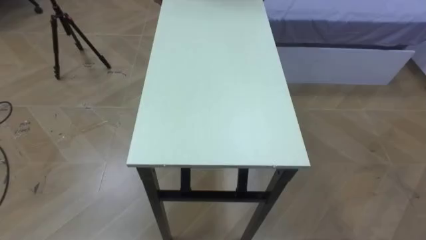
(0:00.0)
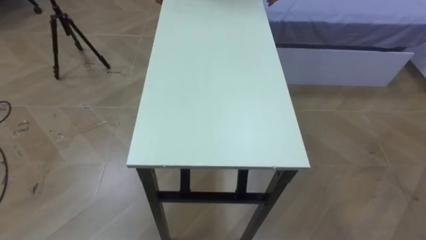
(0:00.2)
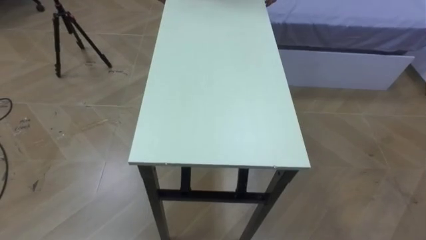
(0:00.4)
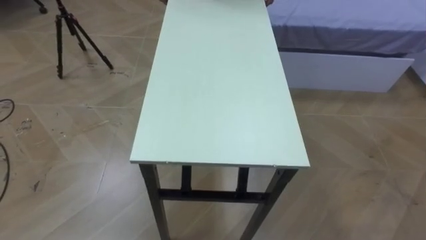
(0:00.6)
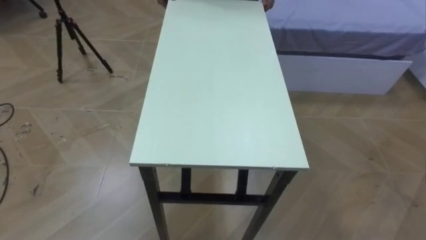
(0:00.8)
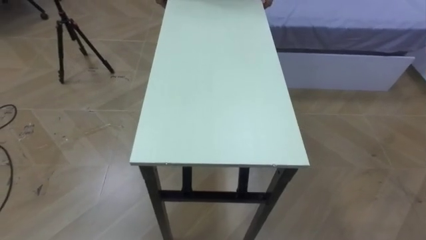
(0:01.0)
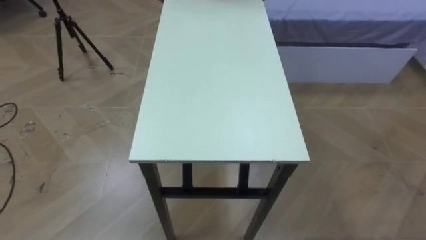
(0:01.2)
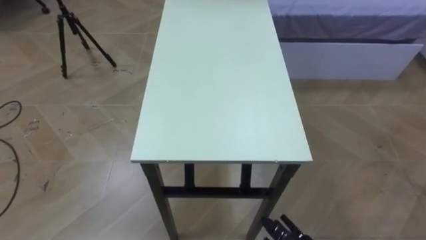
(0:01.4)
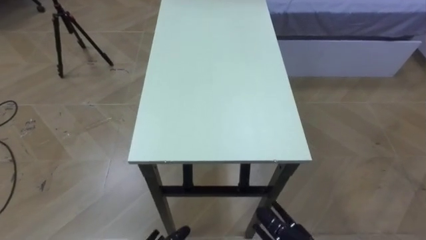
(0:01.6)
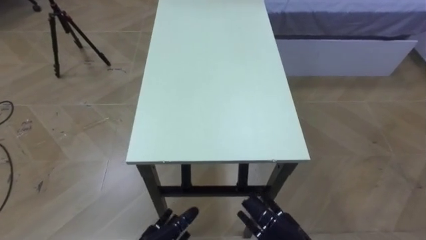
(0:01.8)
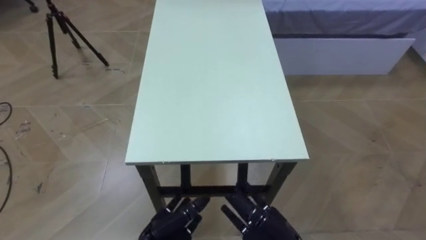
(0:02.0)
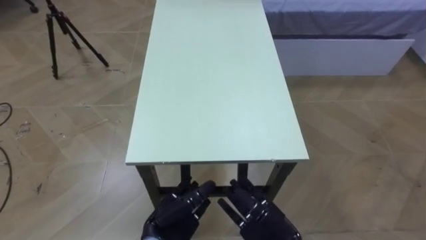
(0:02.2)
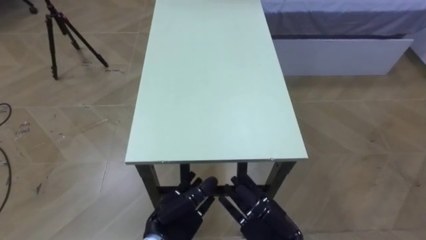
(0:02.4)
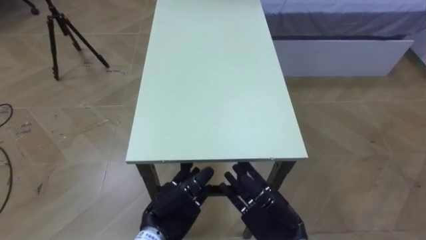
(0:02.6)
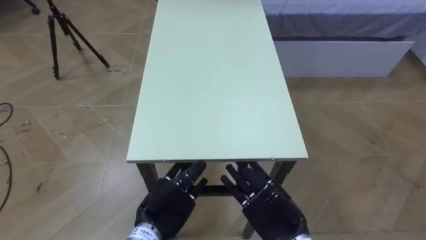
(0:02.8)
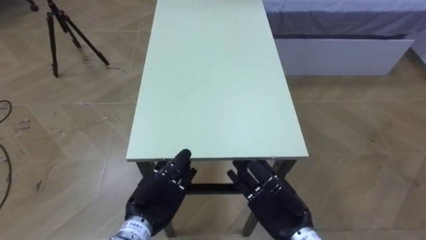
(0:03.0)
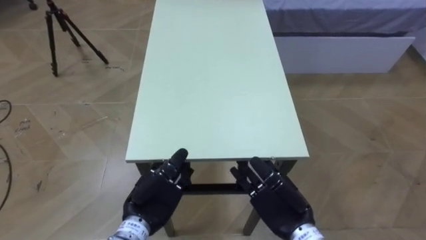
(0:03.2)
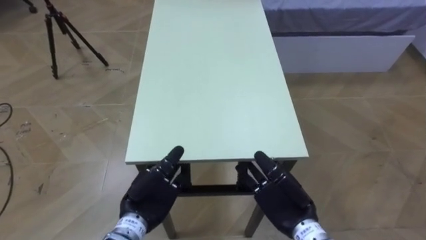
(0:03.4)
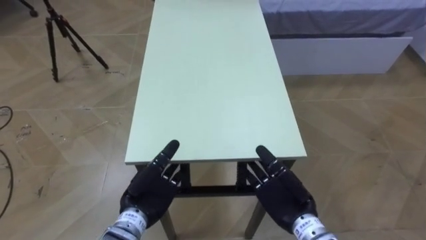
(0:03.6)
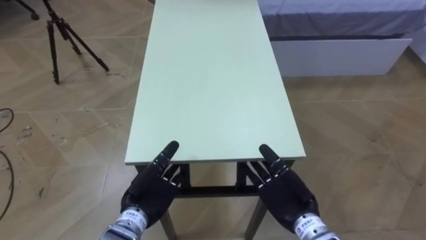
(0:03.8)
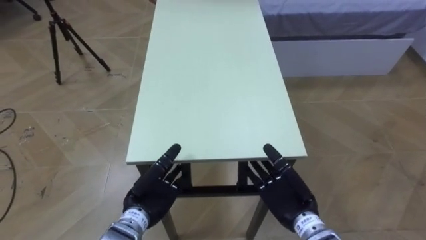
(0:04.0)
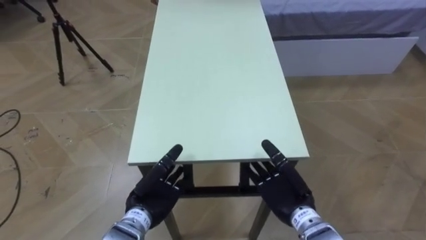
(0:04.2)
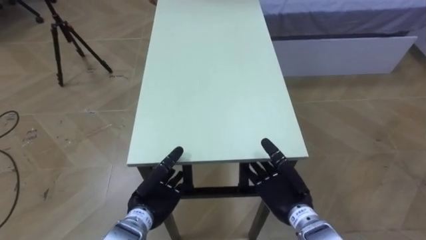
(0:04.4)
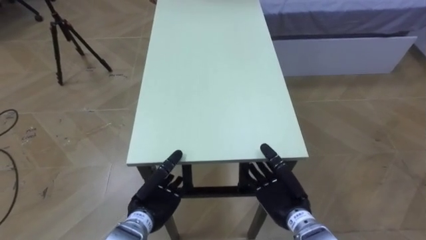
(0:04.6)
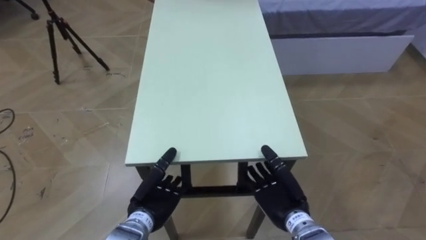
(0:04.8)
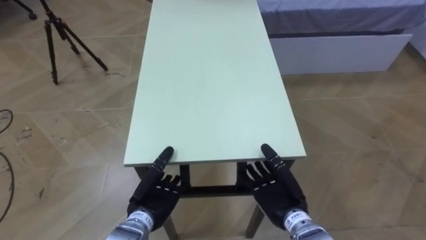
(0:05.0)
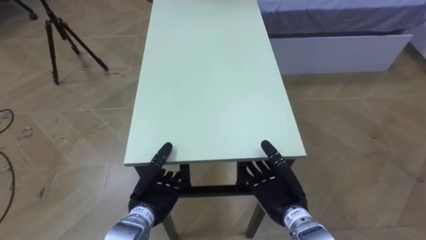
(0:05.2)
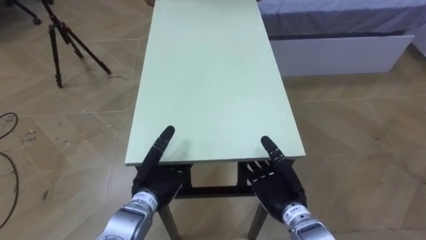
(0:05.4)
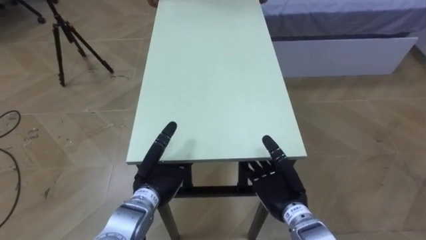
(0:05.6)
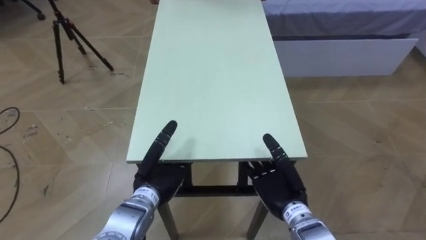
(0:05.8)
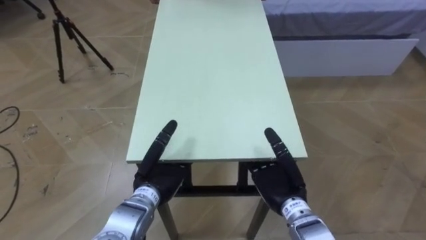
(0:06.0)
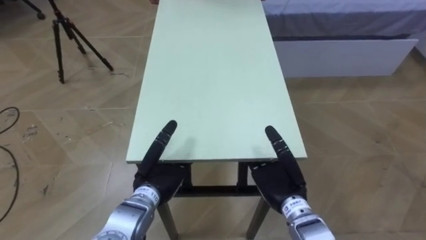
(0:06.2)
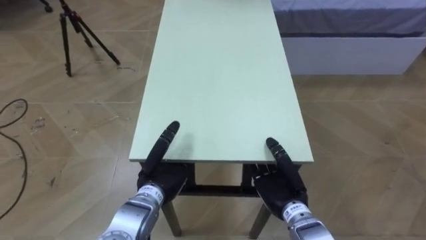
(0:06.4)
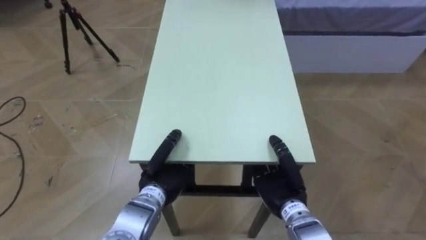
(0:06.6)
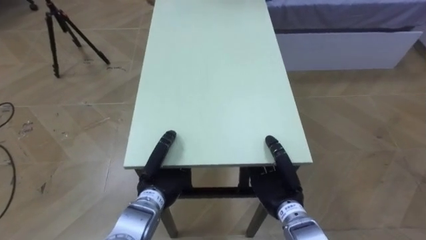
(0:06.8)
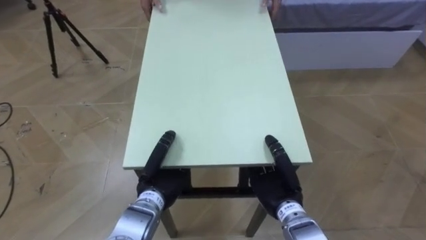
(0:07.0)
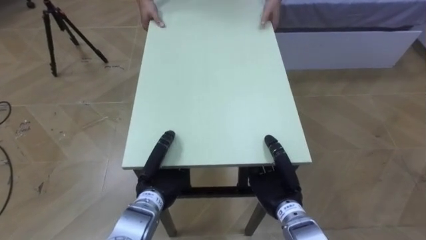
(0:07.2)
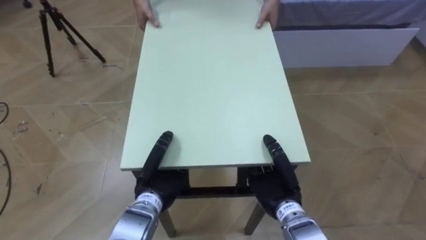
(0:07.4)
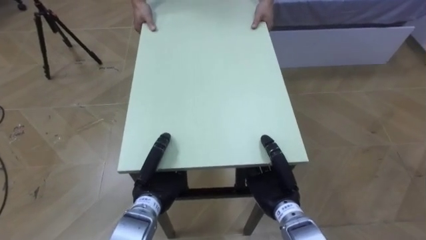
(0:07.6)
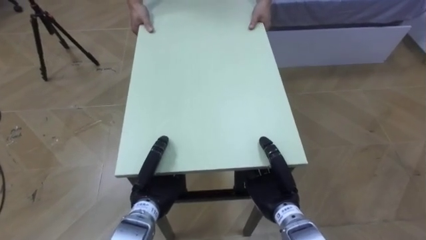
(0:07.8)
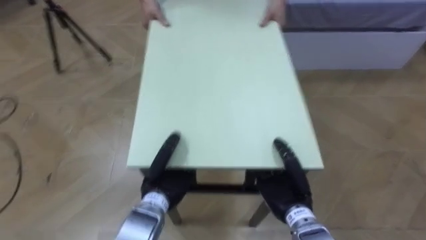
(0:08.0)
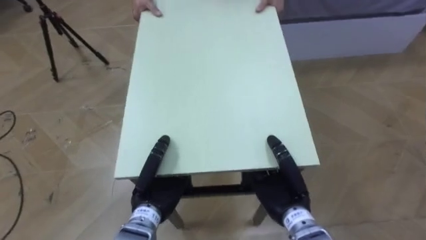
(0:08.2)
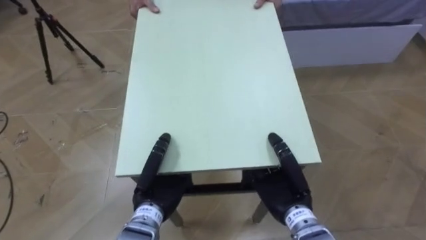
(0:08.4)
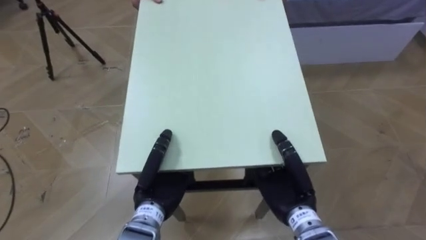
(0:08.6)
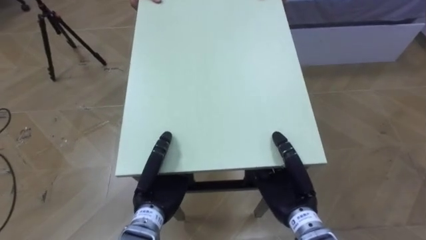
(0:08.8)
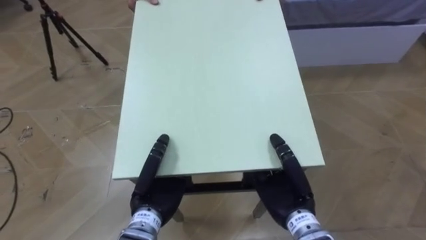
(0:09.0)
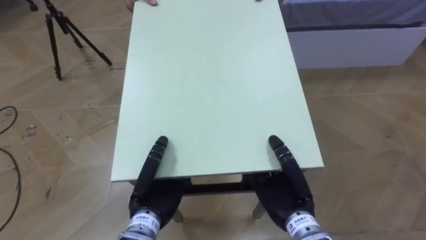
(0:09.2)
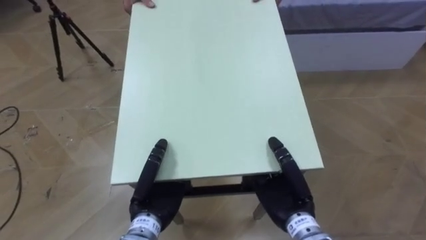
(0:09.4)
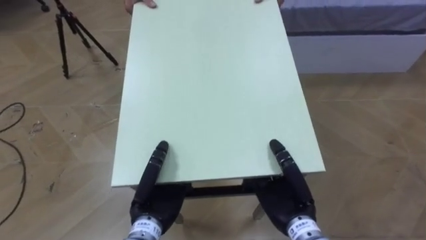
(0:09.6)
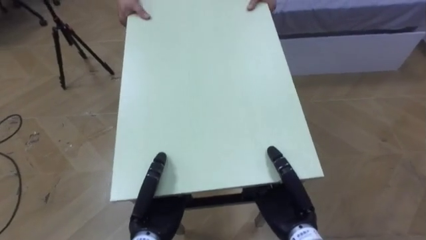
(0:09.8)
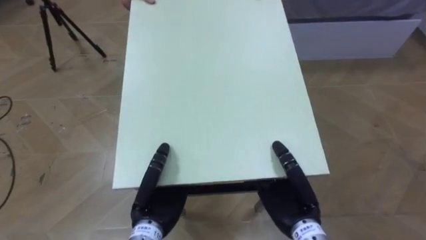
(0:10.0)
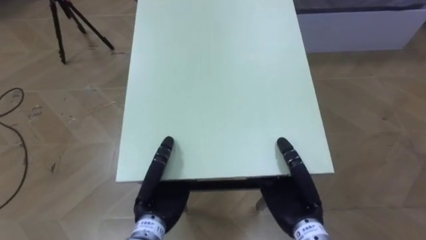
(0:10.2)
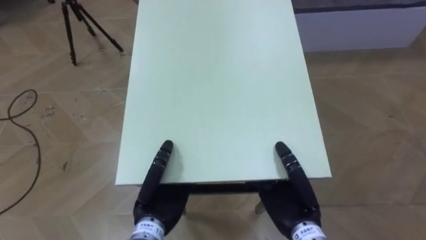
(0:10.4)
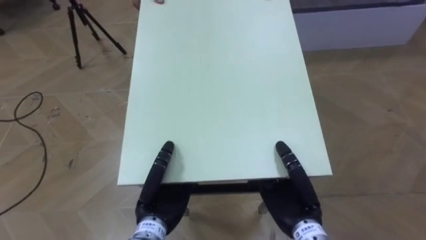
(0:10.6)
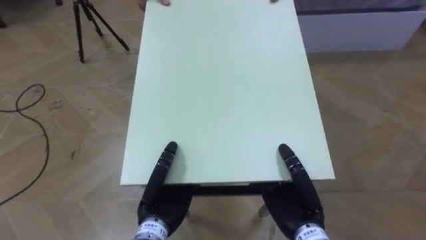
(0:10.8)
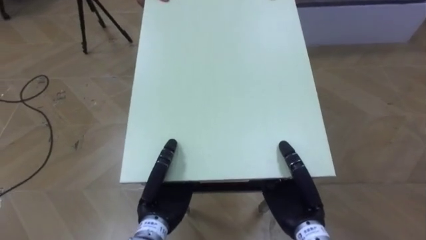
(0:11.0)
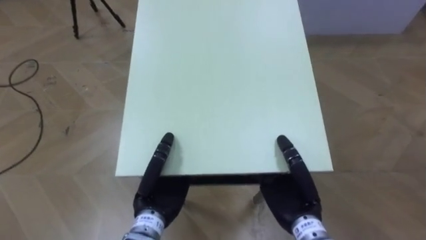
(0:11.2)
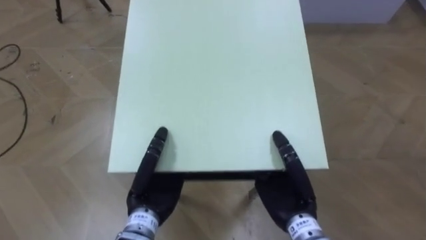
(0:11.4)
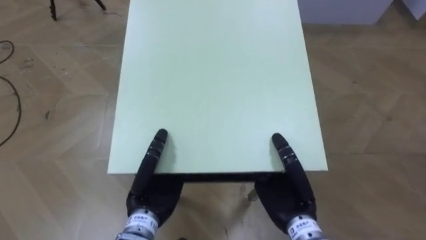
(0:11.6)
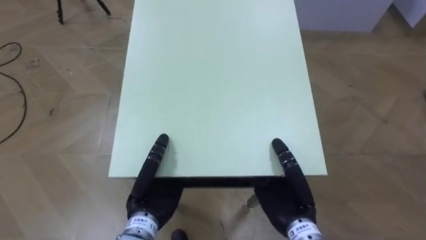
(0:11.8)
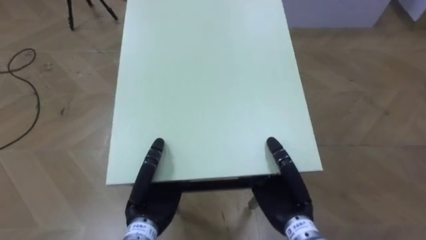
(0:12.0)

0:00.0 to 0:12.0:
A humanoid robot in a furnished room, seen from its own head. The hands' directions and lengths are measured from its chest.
Task of the whole recording: Move the table to the back left with someone.
0:03.0 to 0:04.4: The right hand moves roughly 5 cm.
0:04.4 to 0:06.0: There are only small adjustments of the hands.
0:06.0 to 0:07.6: The right hand closes its fingers, while the left hand closes up.
0:07.6 to 0:09.0: The right hand shifts by roughly 5 cm.

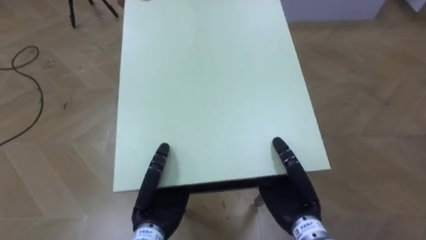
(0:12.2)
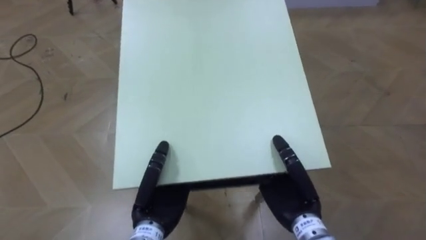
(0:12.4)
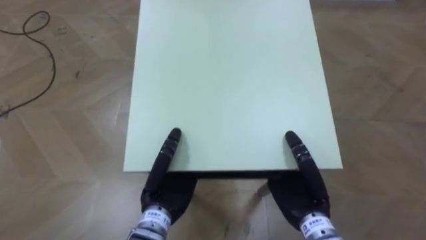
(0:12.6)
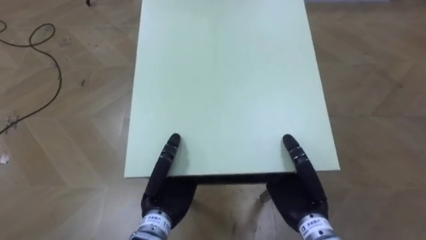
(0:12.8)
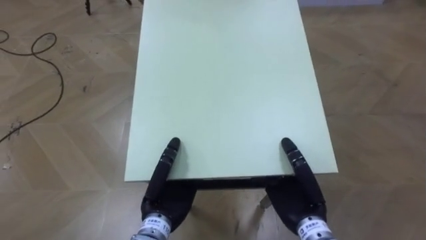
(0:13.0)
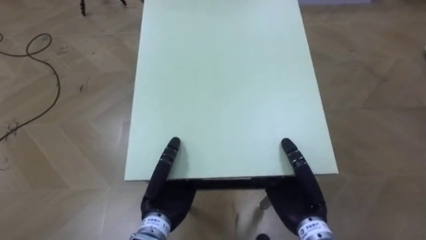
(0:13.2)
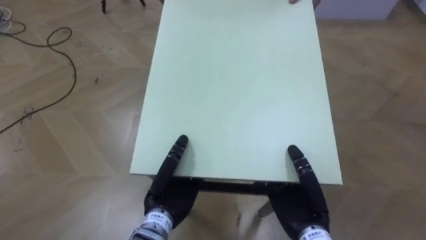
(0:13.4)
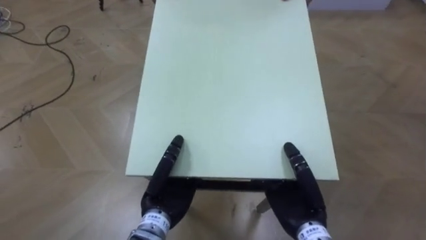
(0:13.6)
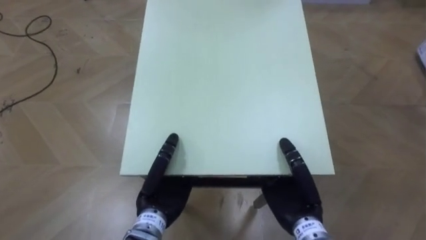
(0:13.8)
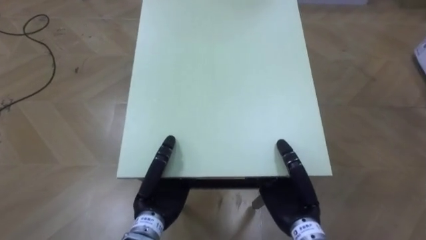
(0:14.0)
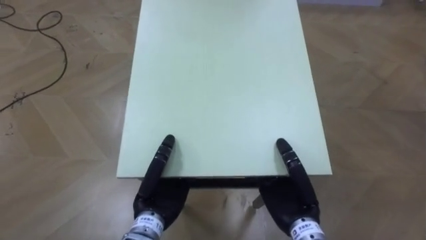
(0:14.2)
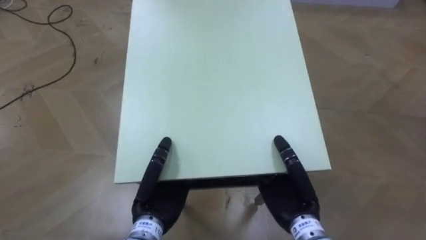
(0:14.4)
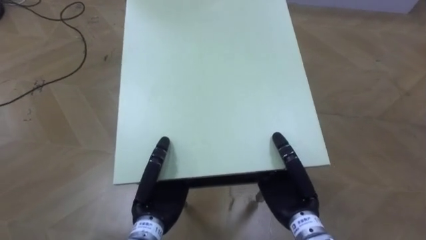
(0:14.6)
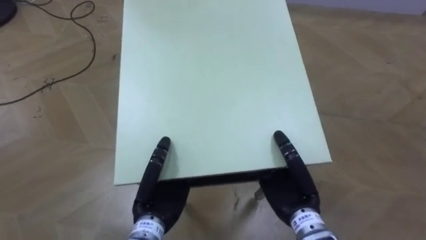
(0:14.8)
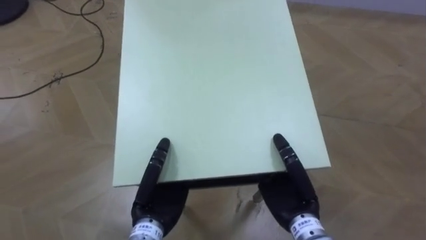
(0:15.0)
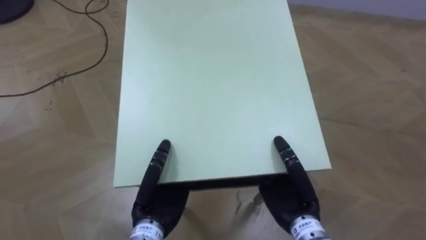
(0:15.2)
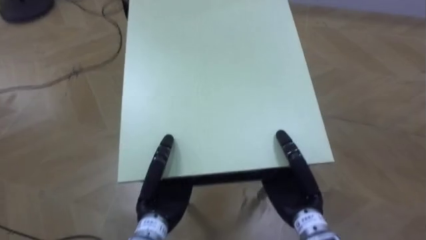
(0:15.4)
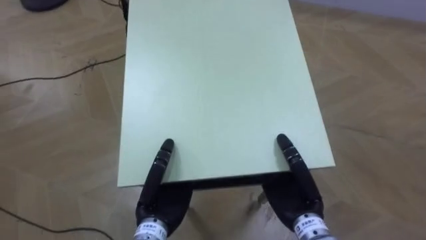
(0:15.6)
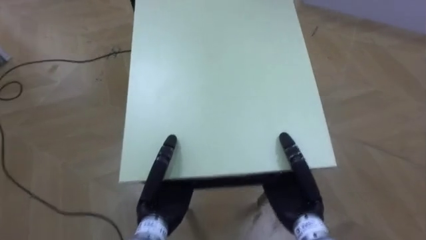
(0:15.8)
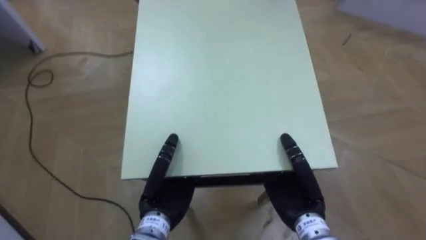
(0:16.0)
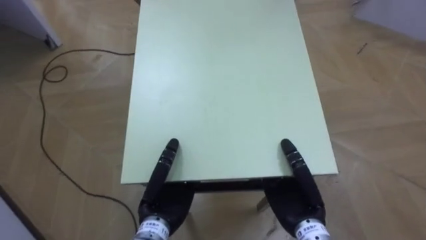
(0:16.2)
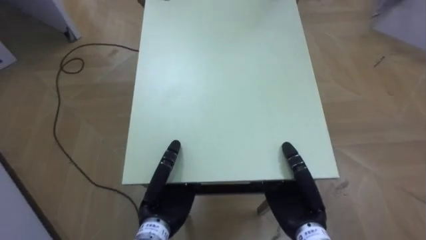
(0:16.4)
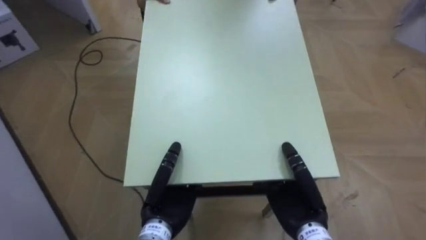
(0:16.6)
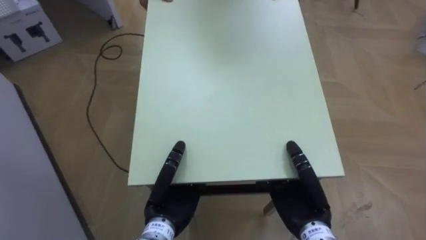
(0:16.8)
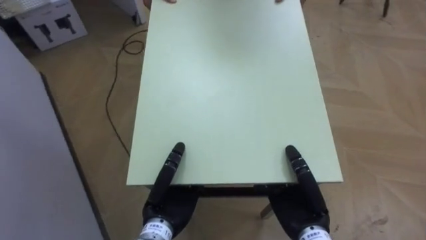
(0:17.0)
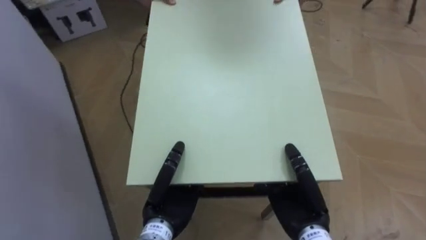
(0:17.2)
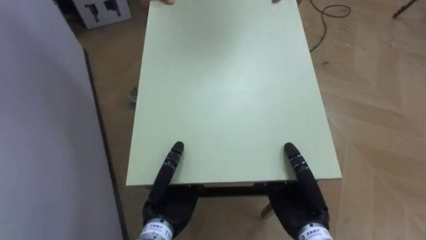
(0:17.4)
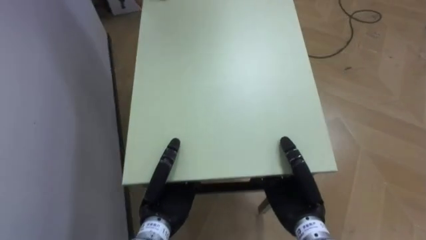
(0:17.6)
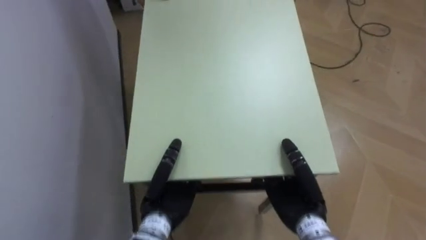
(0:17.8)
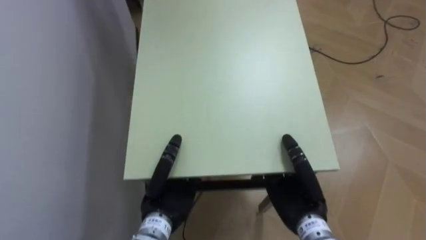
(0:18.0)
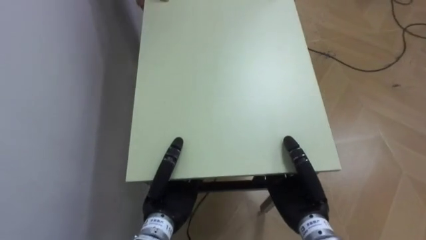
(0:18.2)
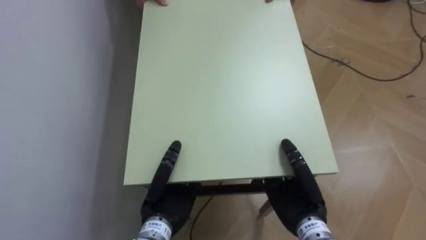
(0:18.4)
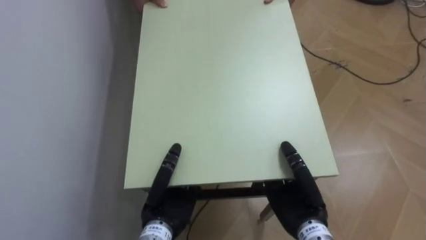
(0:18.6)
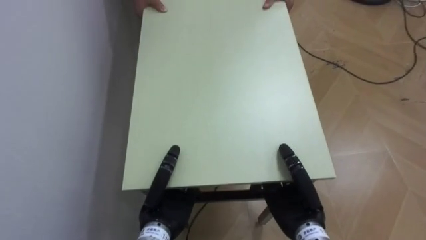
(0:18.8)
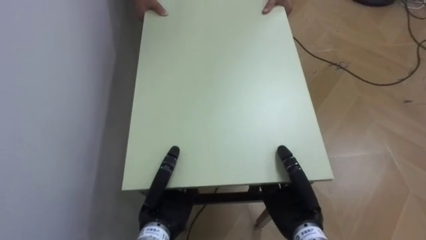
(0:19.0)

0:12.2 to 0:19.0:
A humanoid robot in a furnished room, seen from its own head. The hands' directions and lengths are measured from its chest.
Task of the whole recording: Move the table to the back left with someone.
0:15.0 to 0:16.2: The robot's body swings roughly 35 degrees to its left.
0:16.2 to 0:17.6: The robot faces approximately 35 degrees further to its left.
